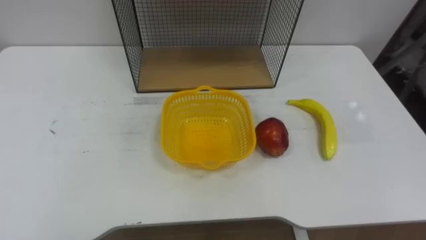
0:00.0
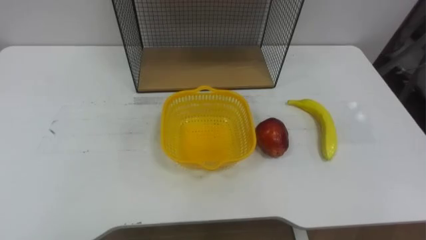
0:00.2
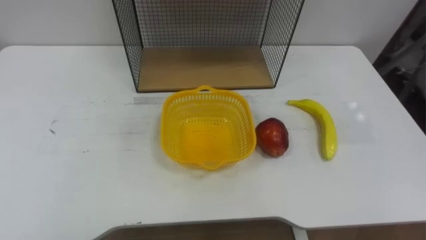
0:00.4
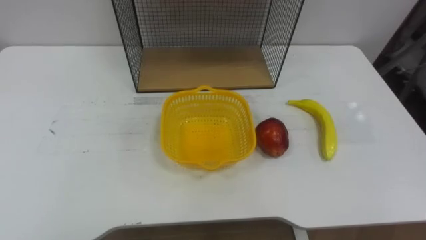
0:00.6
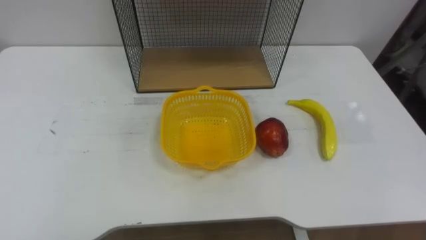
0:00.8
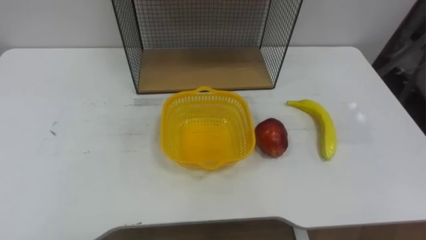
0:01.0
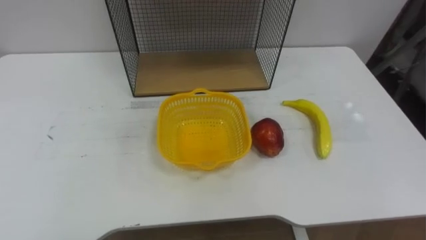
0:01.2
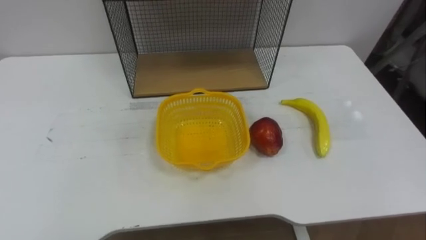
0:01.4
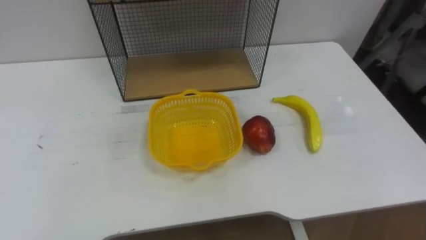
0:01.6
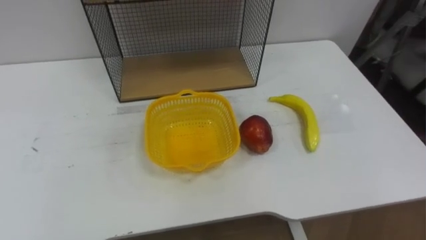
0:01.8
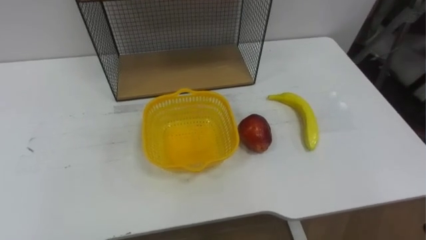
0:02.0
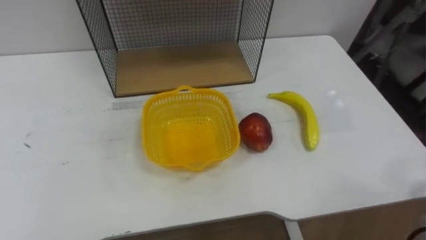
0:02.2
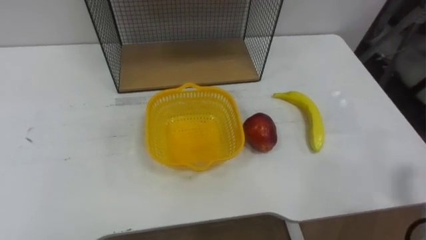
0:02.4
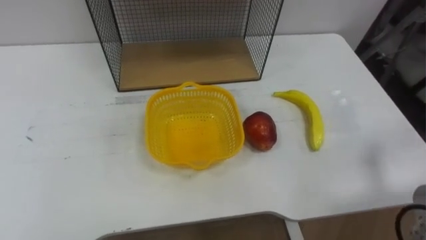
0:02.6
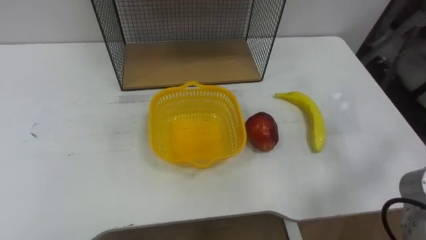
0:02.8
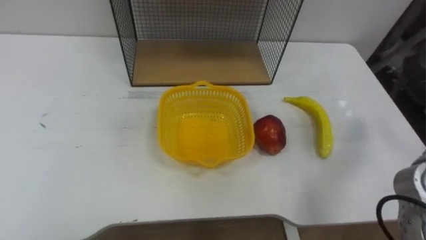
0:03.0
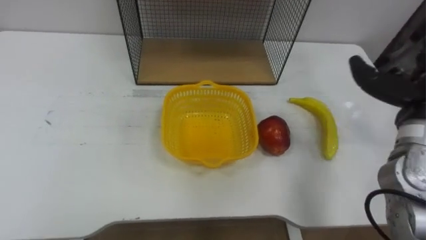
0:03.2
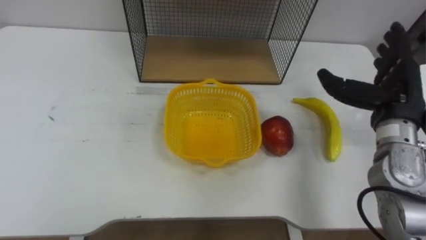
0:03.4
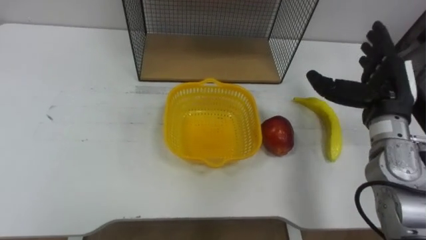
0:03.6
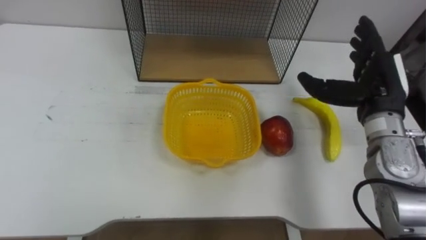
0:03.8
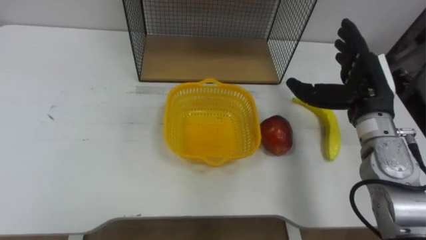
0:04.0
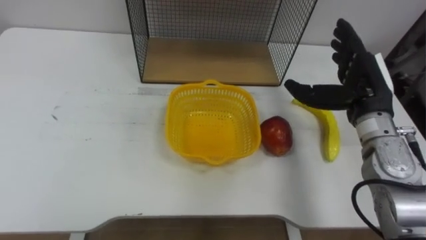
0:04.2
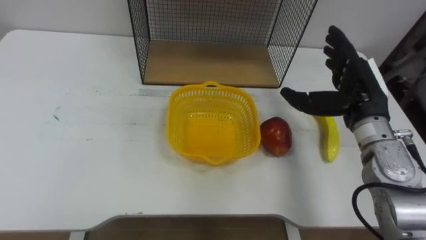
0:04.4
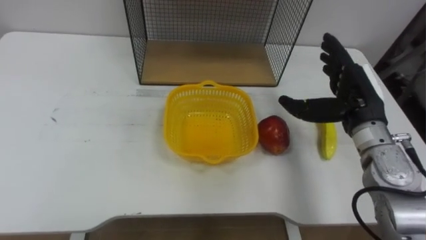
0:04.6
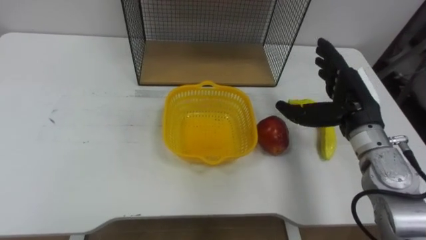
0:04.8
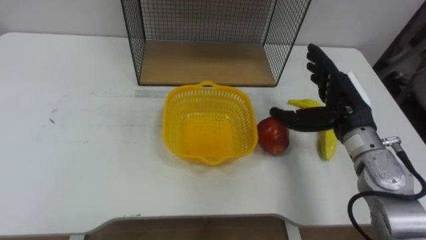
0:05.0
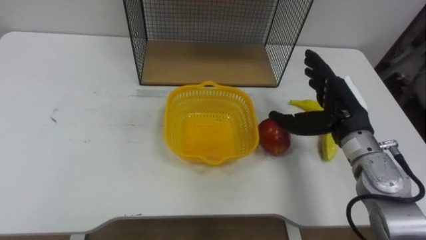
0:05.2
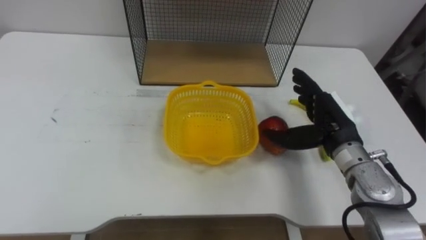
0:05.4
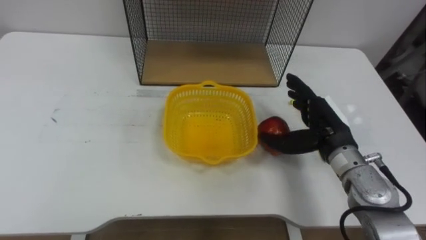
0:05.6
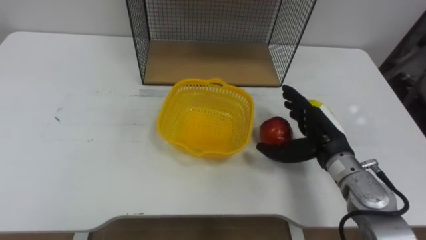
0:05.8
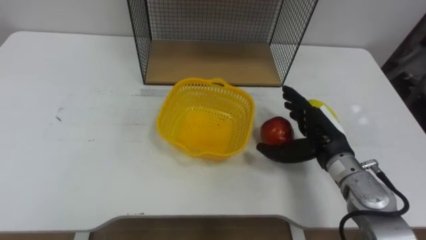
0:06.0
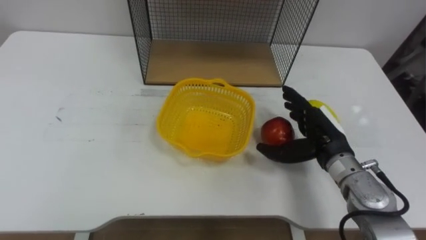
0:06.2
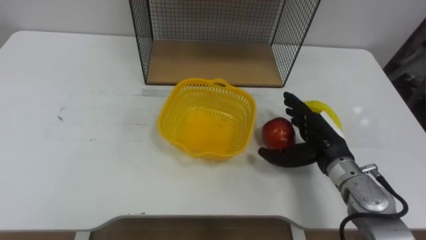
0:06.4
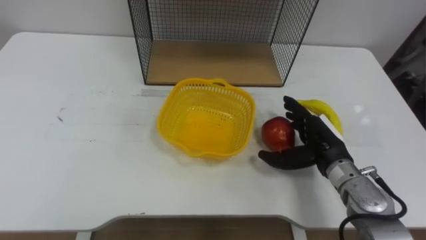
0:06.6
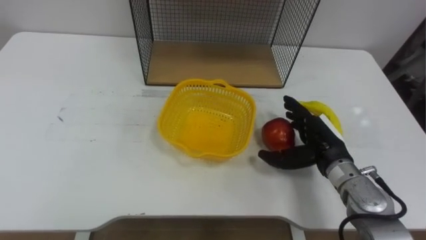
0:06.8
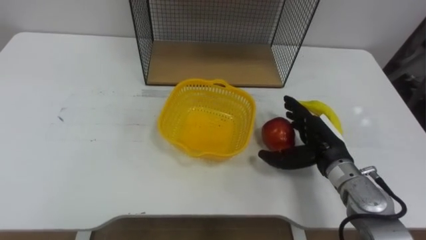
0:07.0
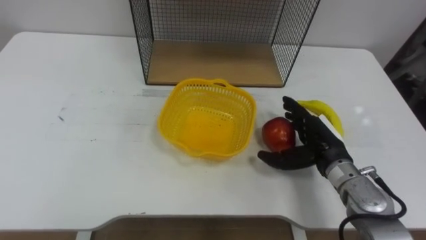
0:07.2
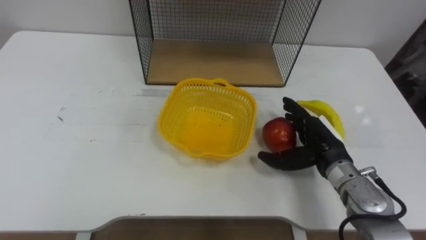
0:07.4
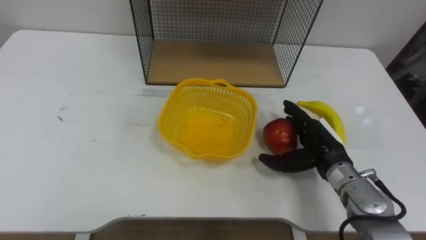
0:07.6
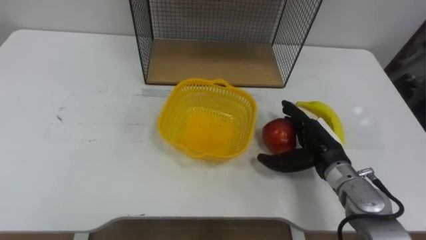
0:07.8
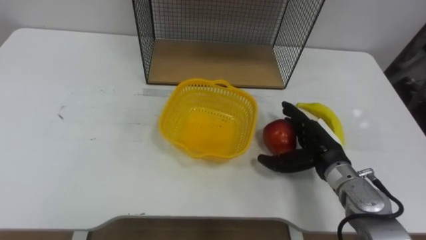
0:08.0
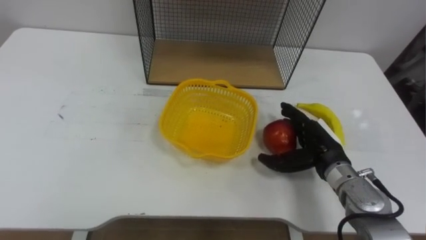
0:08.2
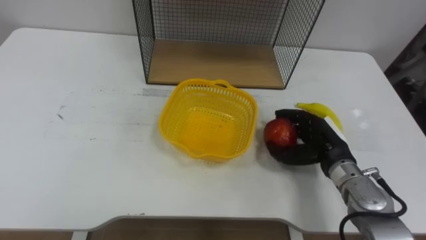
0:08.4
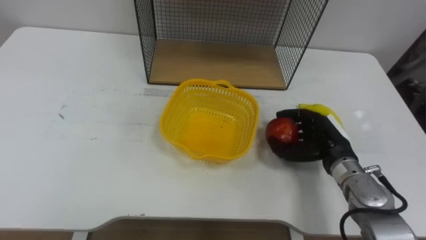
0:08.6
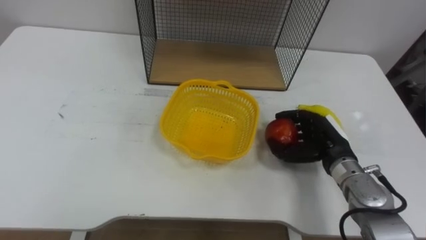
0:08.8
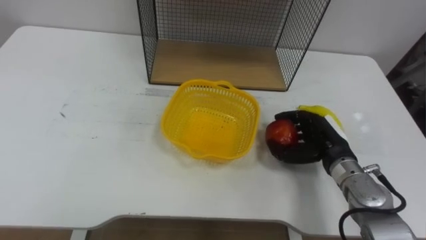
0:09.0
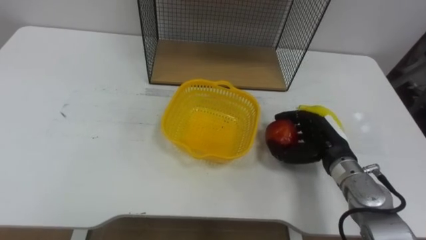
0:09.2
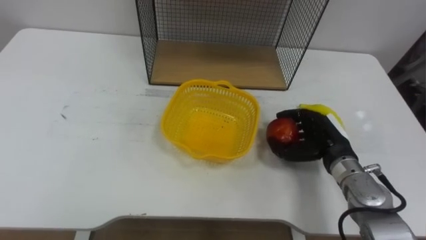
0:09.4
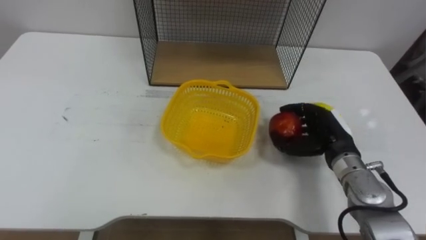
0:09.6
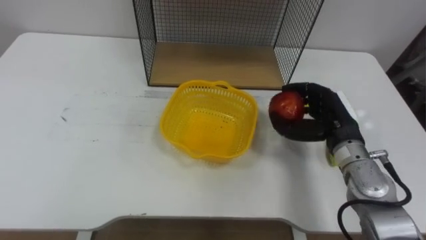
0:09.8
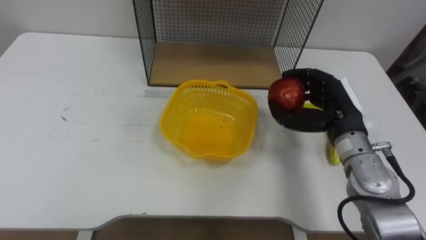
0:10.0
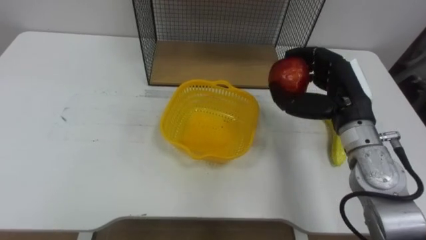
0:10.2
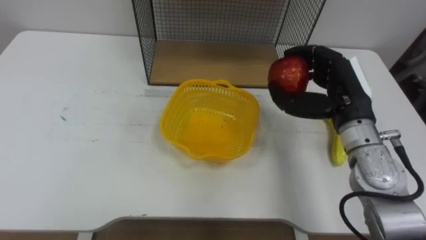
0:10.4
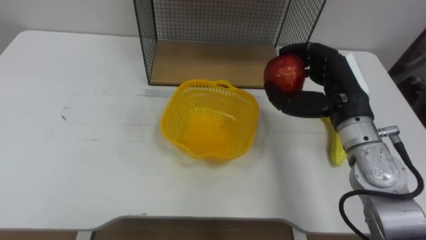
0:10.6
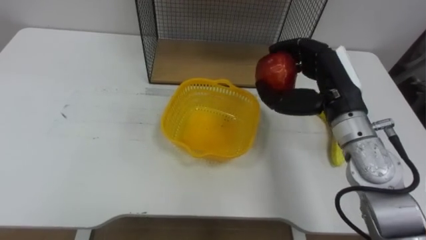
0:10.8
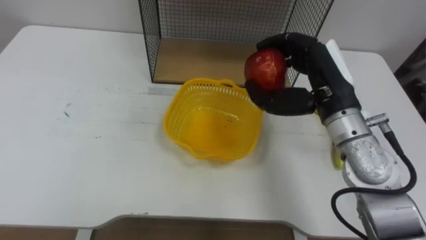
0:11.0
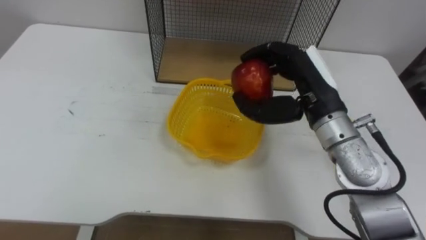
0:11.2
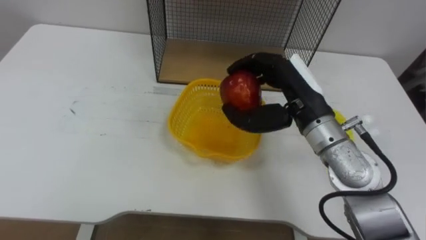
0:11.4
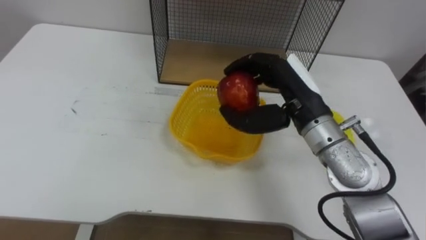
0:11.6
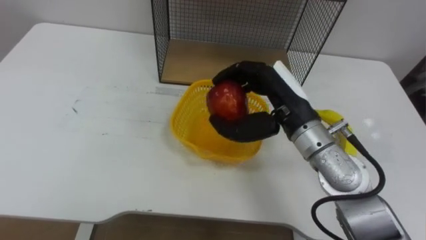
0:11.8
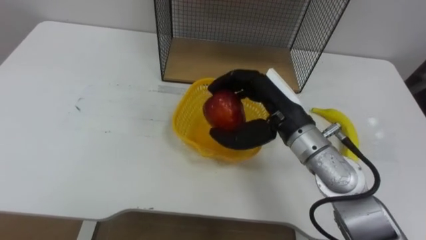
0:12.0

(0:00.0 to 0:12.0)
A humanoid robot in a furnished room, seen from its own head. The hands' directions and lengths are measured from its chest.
Task of the whole recording: Put the fruit on the table into the basket, then place the basket on the shelf.
0:04.4 - 0:06.0: The right hand is displaced downward by approximately 10 cm.
0:07.6 - 0:09.0: The right hand closes.
0:09.0 - 0:10.4: The right hand shifts some 15 cm upward.
0:10.4 - 0:12.0: The right hand is displaced to the left by approximately 10 cm.

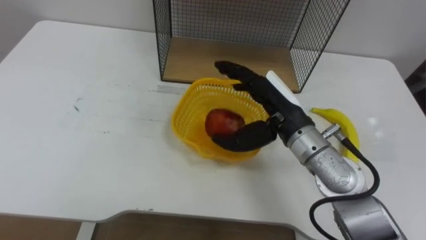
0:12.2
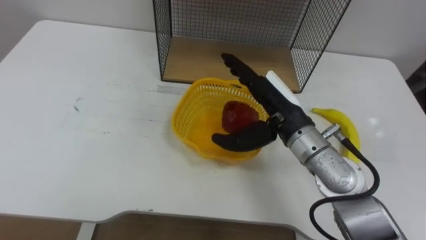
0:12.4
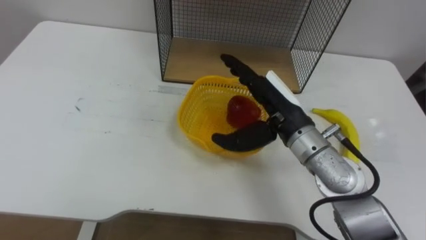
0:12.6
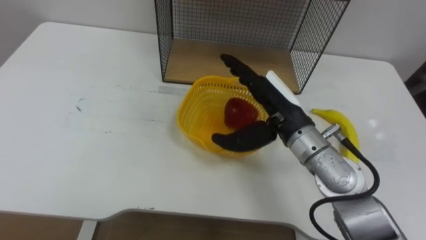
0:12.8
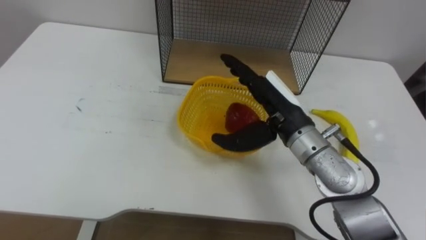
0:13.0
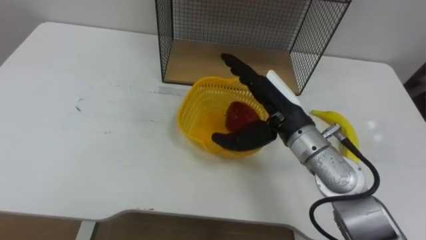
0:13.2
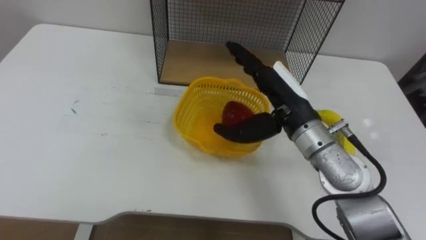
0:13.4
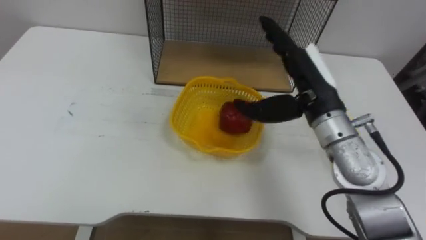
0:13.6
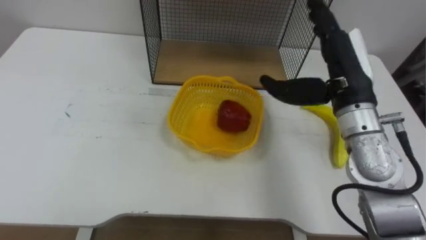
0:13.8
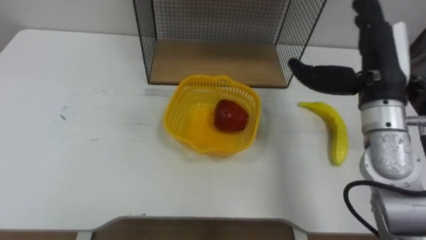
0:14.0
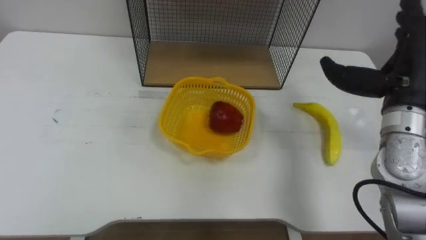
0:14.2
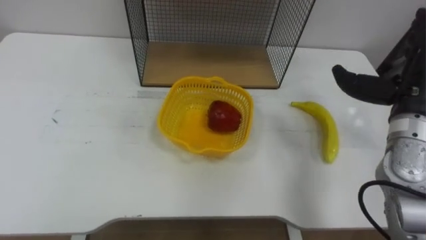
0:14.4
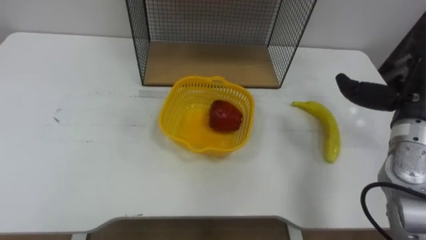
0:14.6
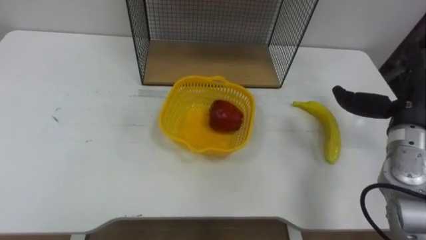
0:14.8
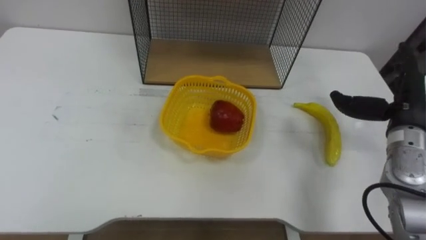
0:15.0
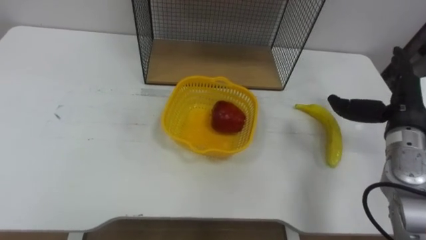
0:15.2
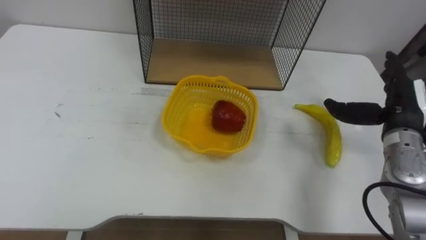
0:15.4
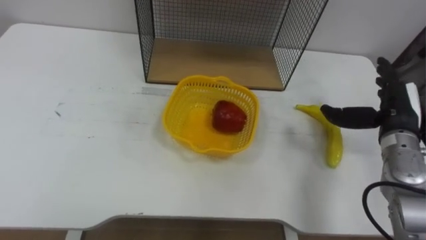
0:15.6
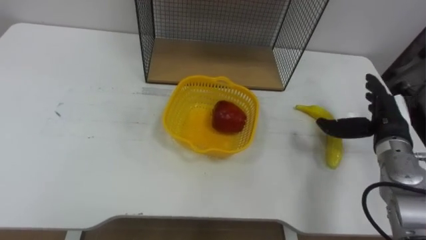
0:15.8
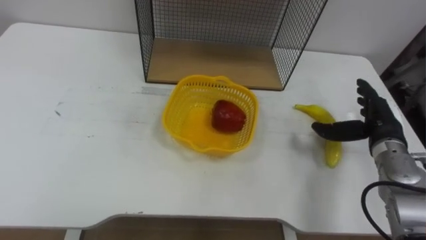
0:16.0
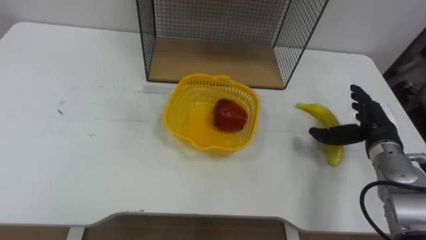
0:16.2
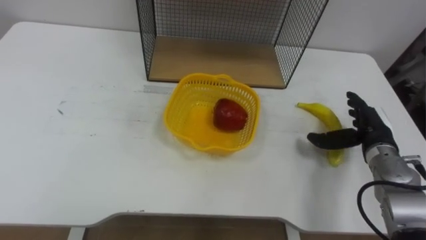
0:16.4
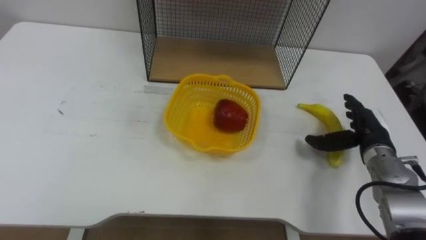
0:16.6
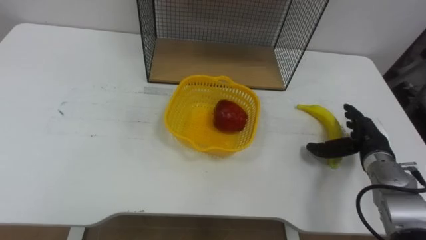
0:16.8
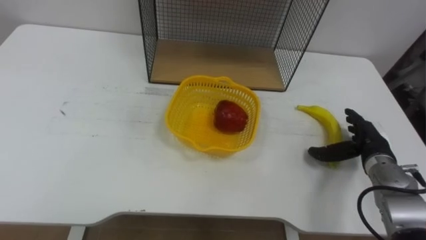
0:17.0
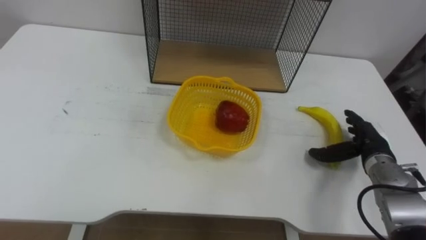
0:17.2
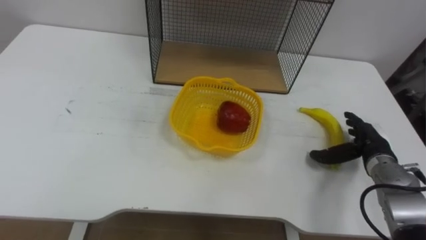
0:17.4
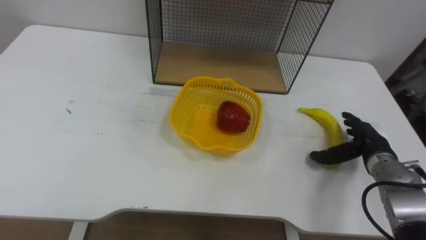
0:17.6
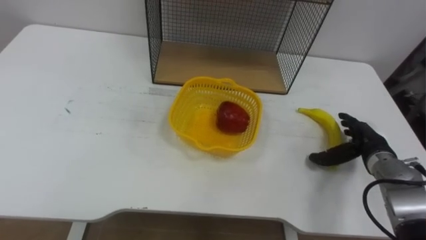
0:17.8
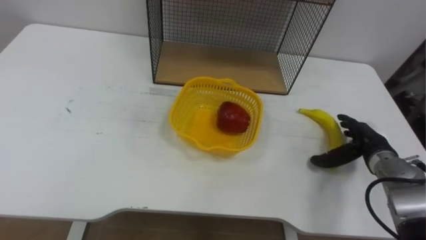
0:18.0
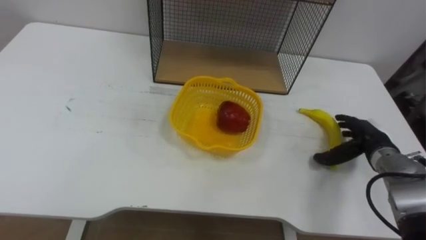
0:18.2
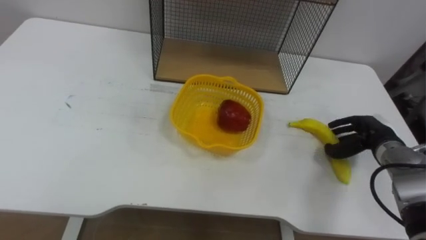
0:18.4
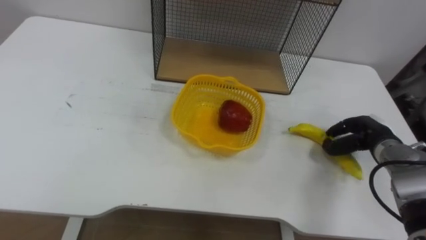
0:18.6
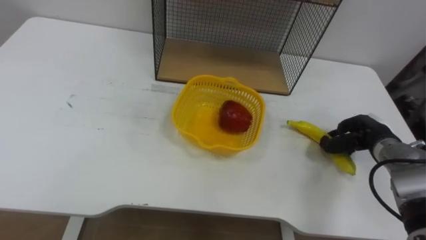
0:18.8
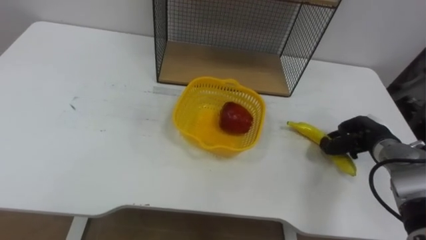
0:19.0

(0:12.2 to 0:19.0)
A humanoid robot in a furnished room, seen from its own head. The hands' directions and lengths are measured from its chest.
Task of the whole recording: Put the fruit on the table into the basket, then place the basket on the shelf.
0:12.2 - 0:13.6: The right hand moves some 5 cm.
0:13.6 - 0:15.0: The right hand goes about 20 cm to the right.
0:15.0 - 0:16.2: The right hand is displaced downward by approximately 5 cm.
0:16.2 - 0:17.6: The right hand goes roughly 5 cm downward.
0:17.6 - 0:19.0: The right hand closes.
